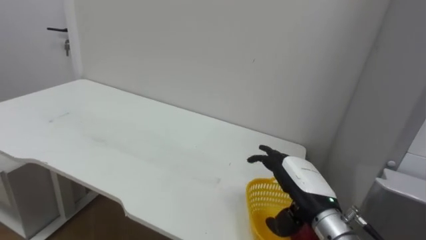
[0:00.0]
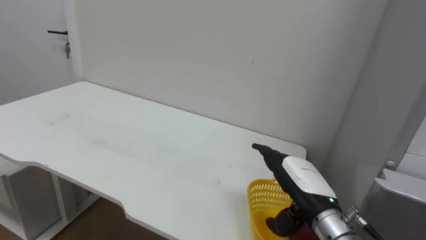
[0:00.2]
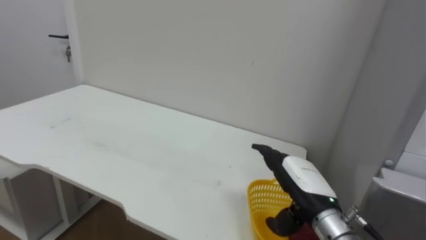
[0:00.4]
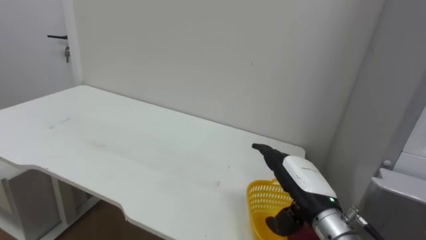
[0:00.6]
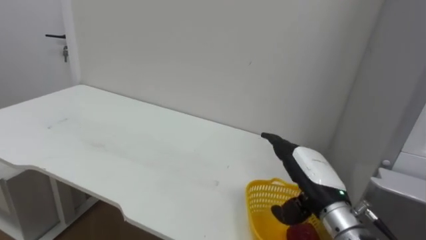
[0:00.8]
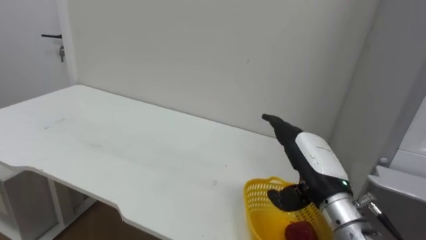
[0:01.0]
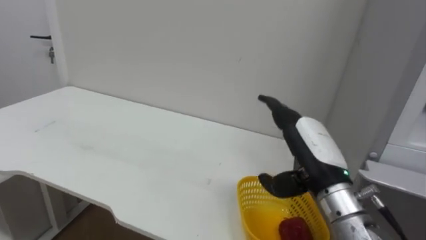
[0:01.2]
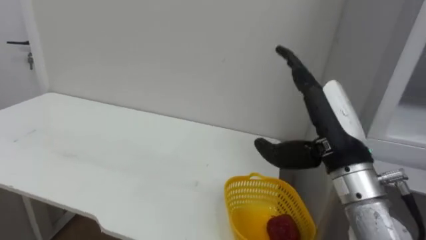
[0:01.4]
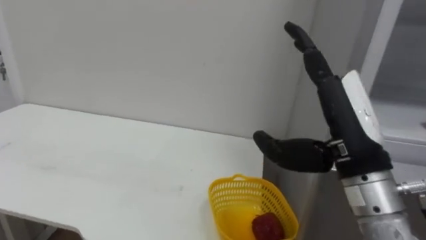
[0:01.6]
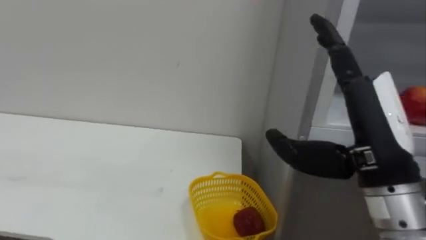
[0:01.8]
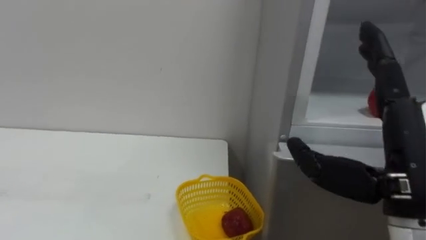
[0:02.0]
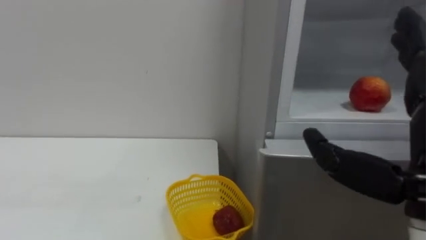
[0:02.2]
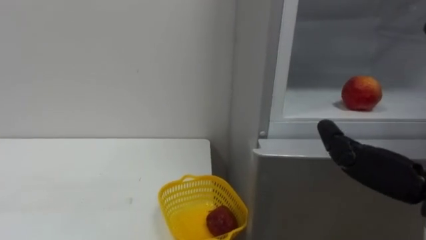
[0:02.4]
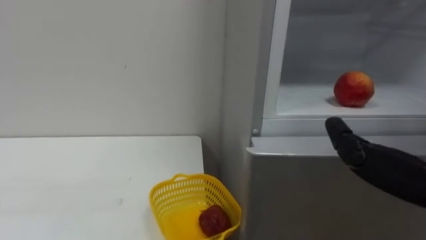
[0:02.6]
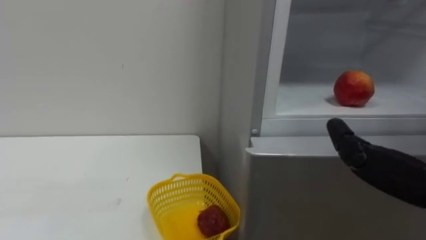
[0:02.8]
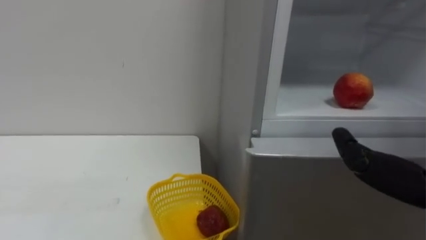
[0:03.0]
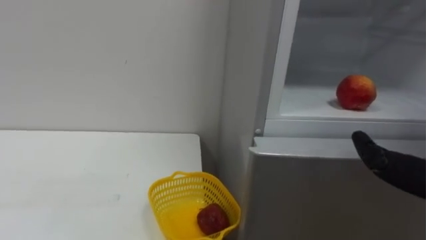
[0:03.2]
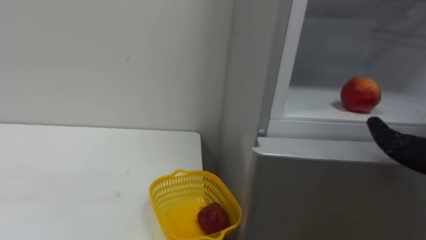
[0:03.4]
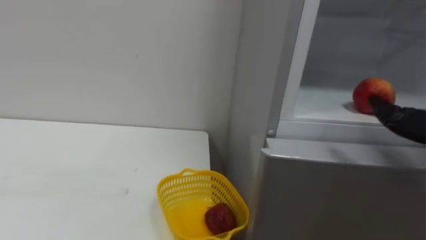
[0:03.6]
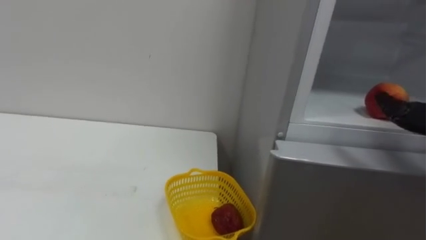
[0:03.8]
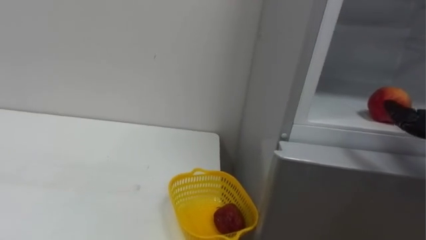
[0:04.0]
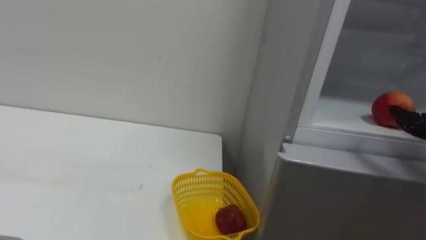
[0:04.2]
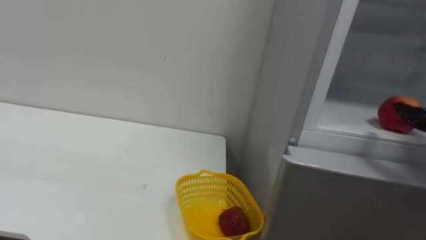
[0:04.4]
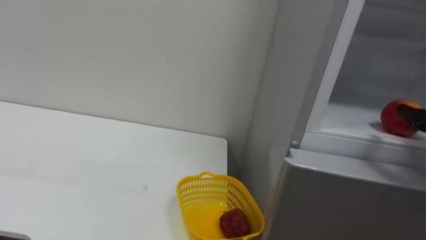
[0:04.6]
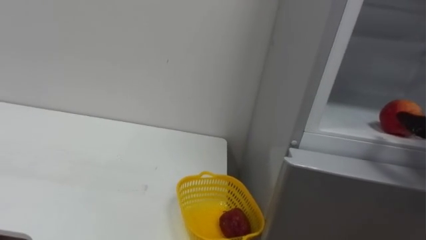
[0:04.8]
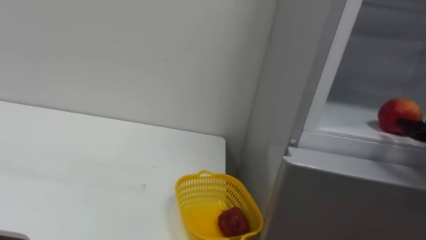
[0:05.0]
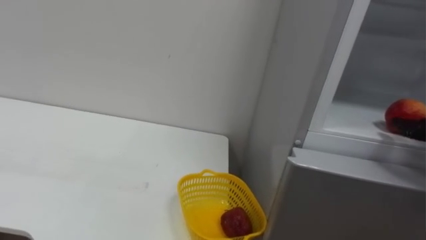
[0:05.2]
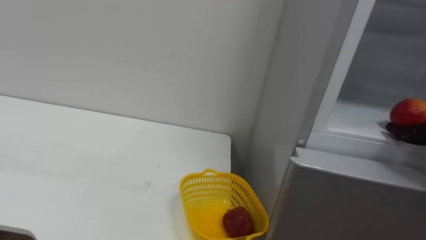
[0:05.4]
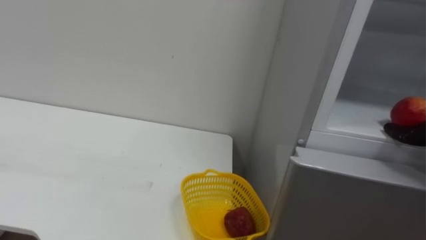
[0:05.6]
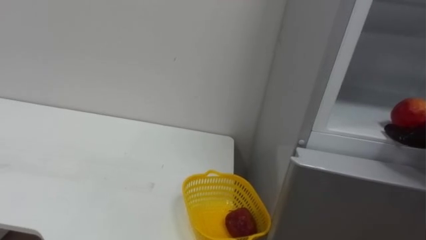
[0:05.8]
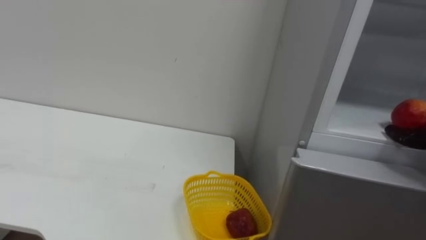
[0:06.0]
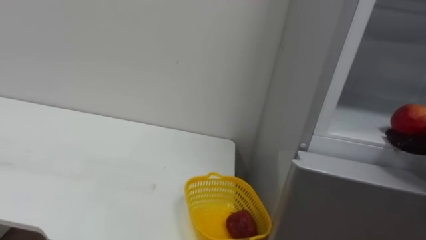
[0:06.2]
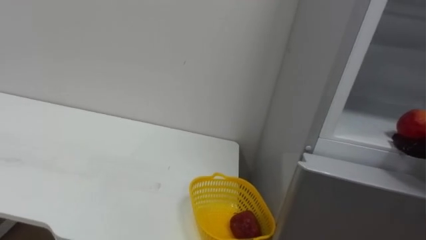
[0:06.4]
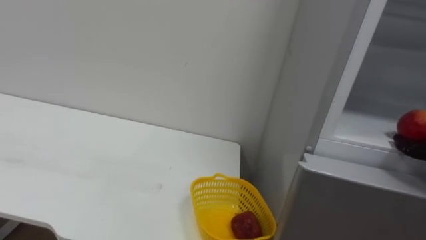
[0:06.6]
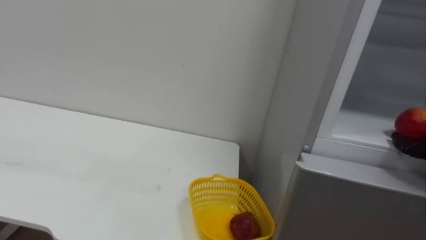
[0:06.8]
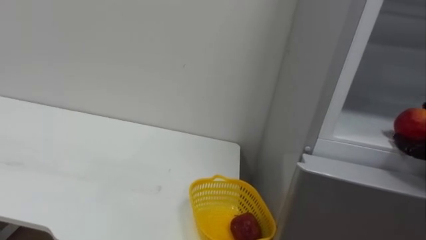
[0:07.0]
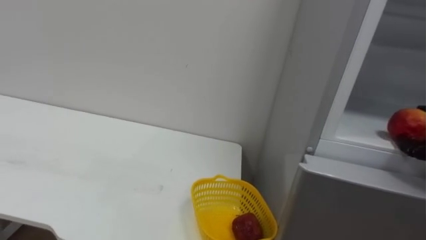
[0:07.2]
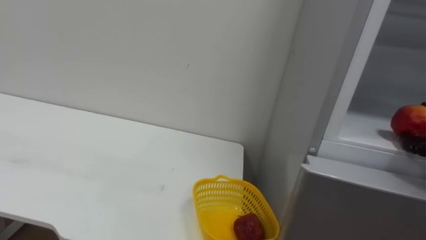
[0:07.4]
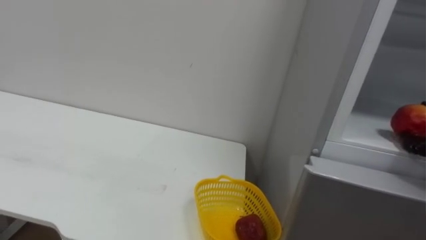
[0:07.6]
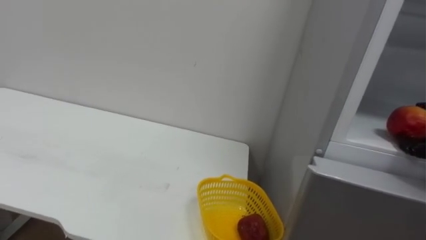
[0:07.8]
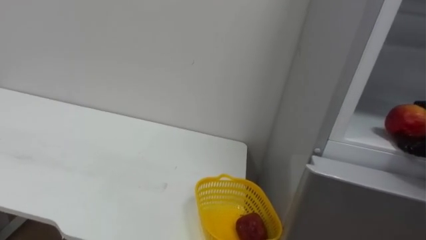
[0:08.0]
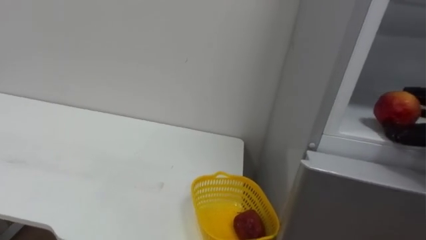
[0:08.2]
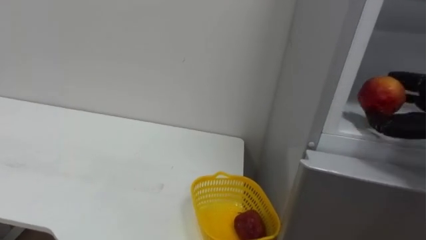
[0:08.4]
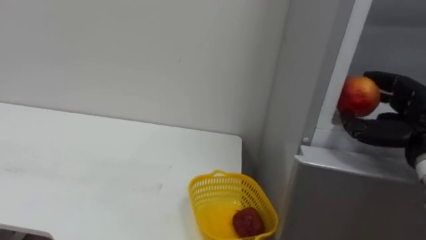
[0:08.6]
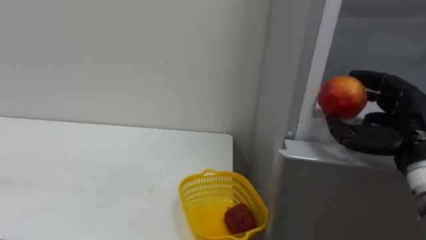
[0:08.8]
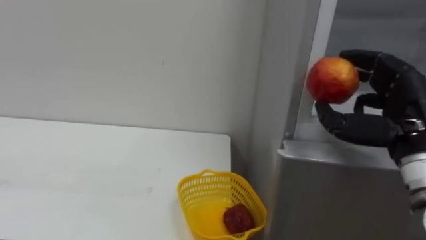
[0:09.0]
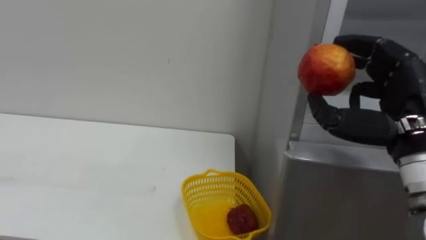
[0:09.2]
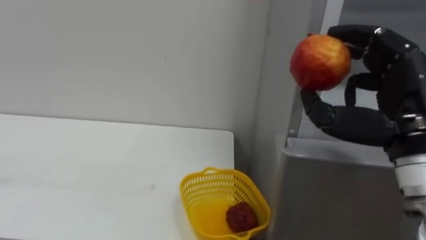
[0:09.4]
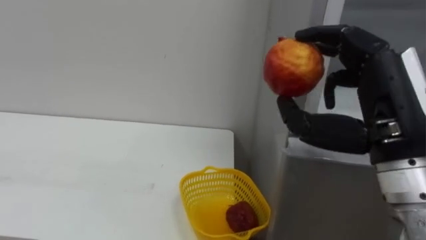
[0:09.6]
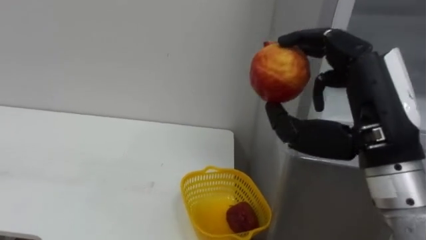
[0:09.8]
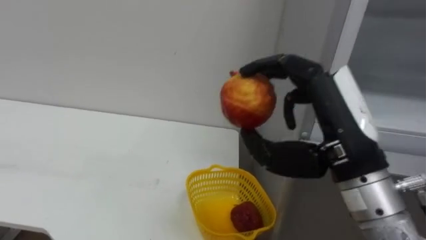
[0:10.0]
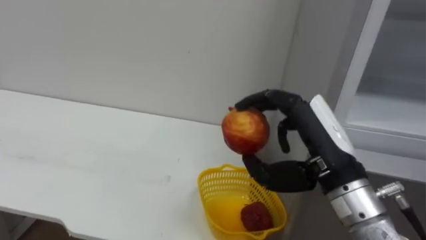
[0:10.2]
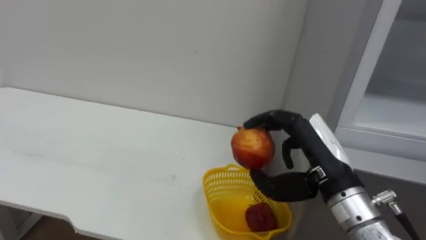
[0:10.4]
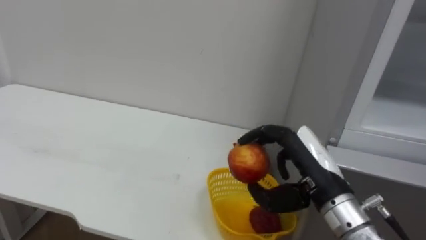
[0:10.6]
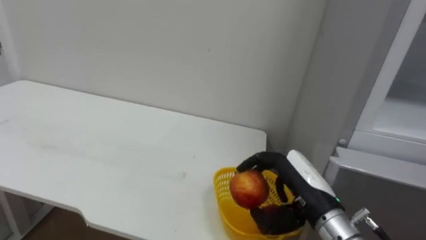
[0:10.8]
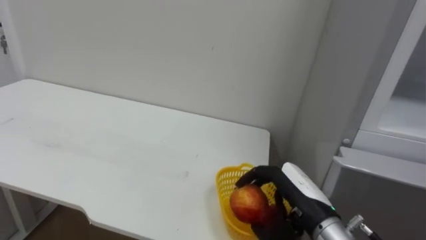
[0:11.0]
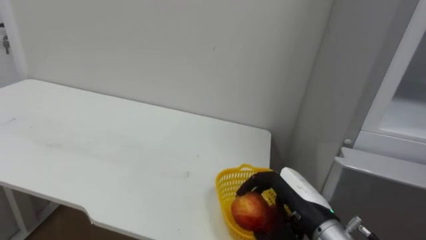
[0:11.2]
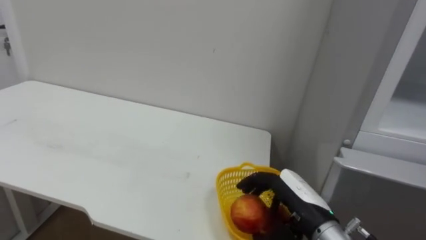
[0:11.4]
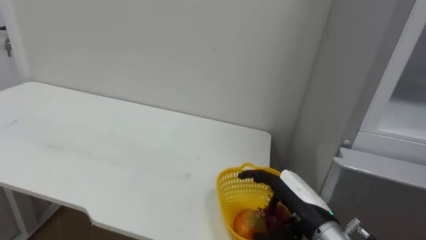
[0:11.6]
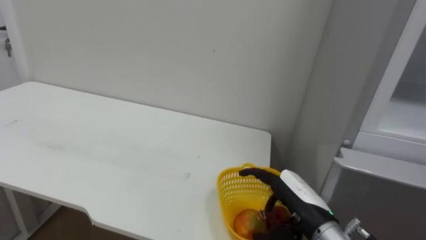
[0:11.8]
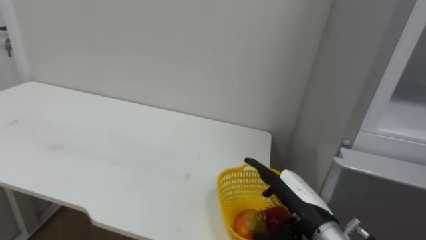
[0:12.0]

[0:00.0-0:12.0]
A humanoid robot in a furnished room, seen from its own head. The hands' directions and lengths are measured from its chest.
Task of the whole recording: Open the refrigerator door, take out the apple and the pomegranate, place them in the fruit basket on the left, and close the refrigerator door.
0:00.0 to 0:01.6: The right hand moves upward, some 15 cm.
0:09.0 to 0:10.4: The right hand goes roughly 10 cm to the left.
0:10.4 to 0:12.0: The right hand heads downward, covering approximately 10 cm, and opens up.

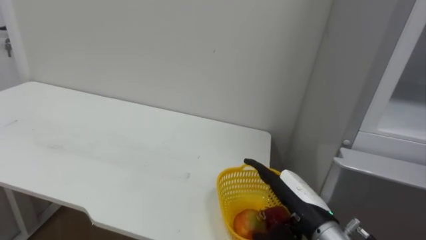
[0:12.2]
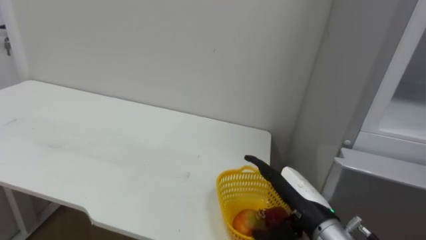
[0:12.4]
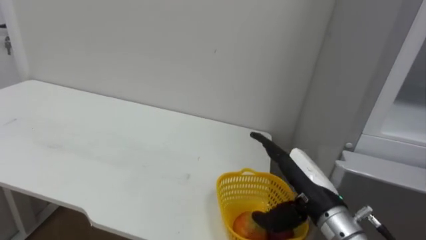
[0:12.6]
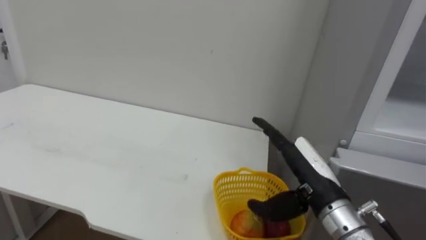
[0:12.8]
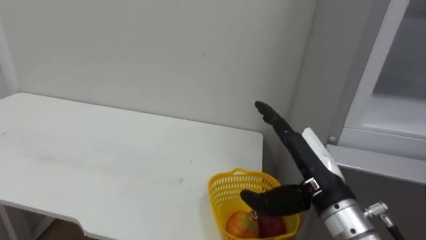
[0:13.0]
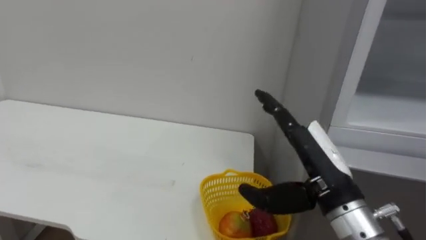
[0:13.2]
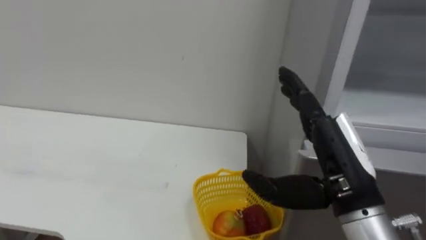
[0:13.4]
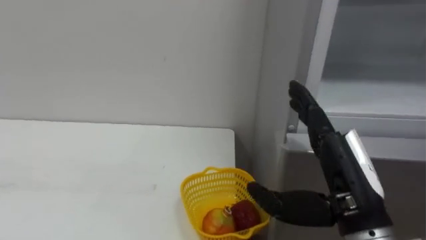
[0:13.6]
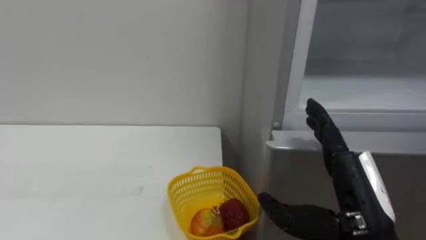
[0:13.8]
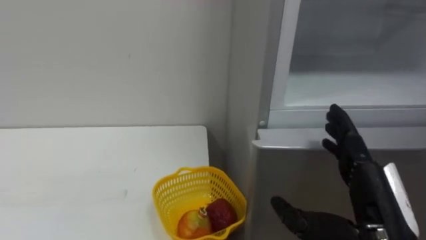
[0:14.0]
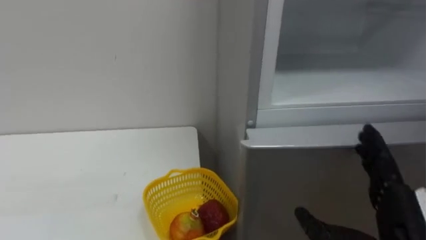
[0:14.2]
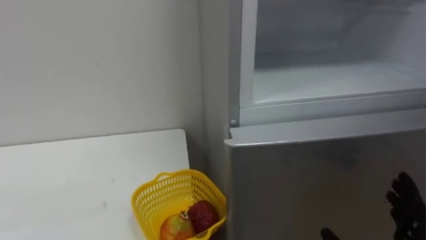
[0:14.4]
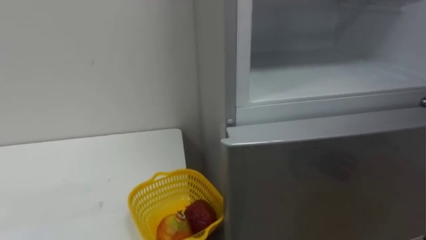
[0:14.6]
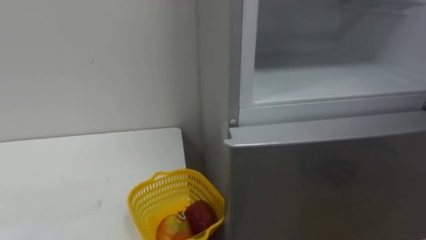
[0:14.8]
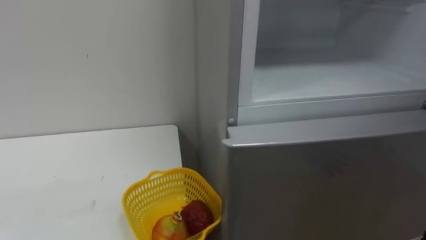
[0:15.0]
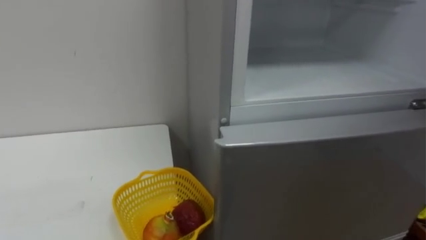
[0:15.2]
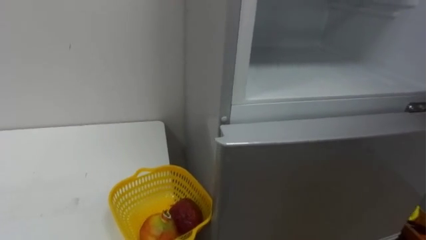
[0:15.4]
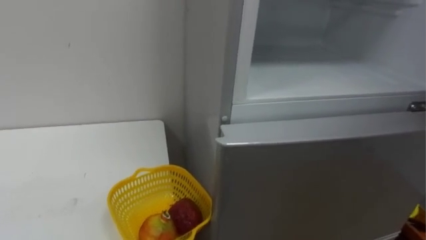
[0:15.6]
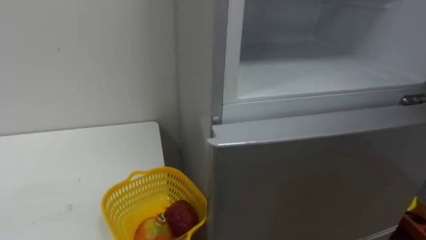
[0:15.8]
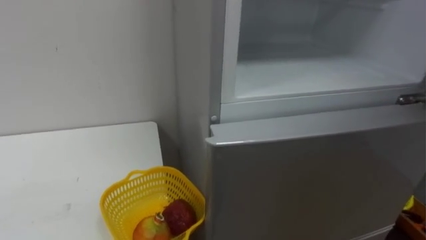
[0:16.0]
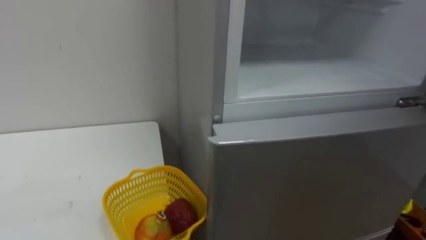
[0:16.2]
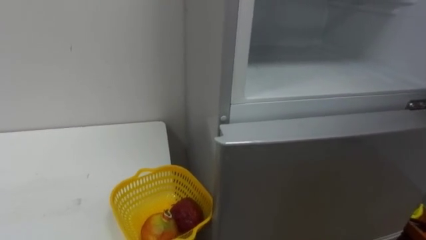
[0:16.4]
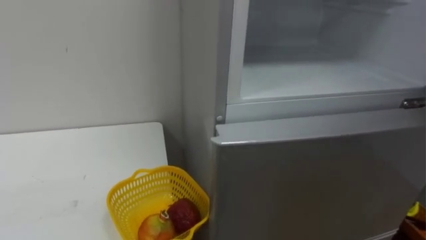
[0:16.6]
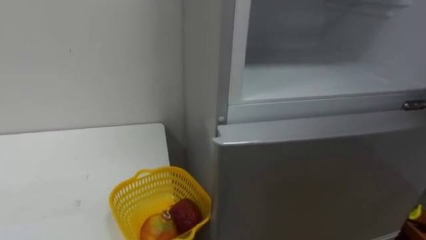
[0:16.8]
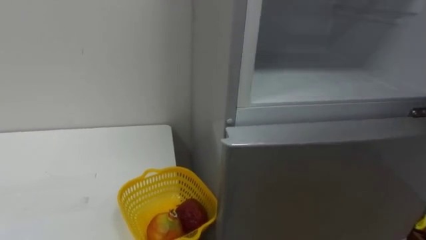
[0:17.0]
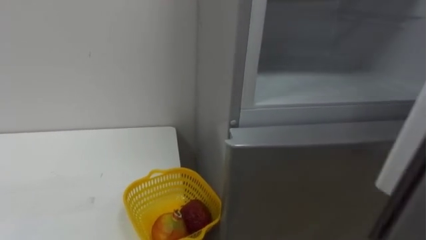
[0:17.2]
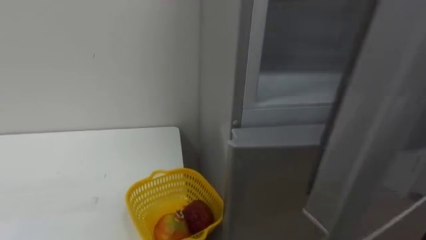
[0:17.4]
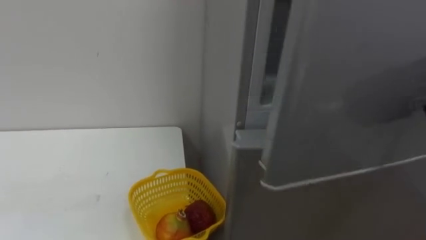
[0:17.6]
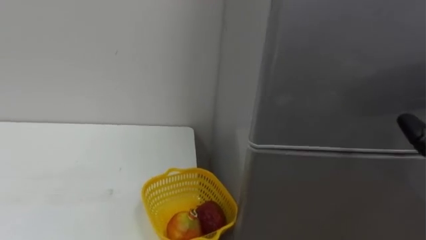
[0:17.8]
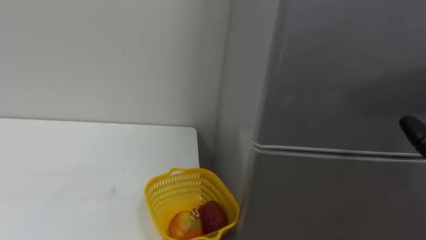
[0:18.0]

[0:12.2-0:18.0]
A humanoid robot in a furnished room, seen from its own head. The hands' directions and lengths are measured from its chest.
Task of the whole recording: Open the refrigerator door, take out the apple and the pomegranate, place them in the fruit basket on the left, and close the refrigerator door.
0:12.2 to 0:13.6: The right hand heads upward and backward, covering some 15 cm.
